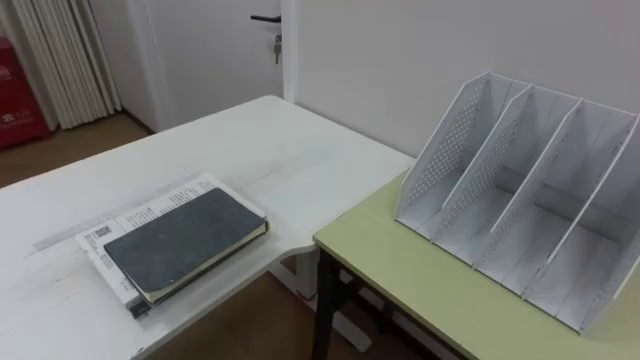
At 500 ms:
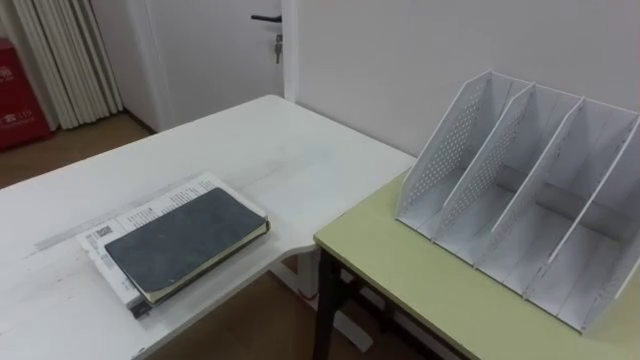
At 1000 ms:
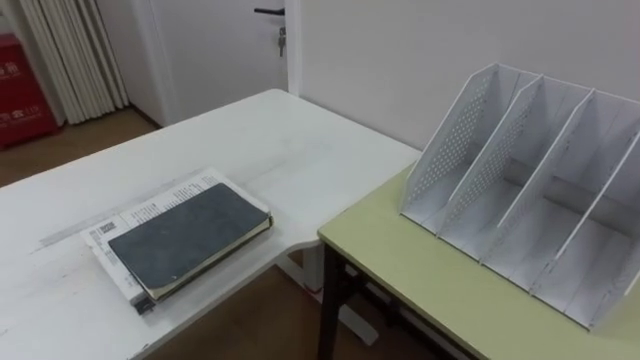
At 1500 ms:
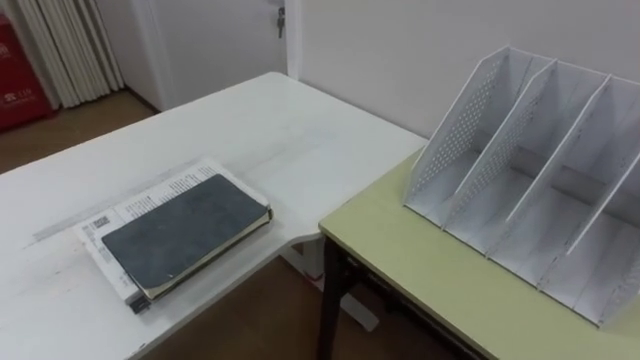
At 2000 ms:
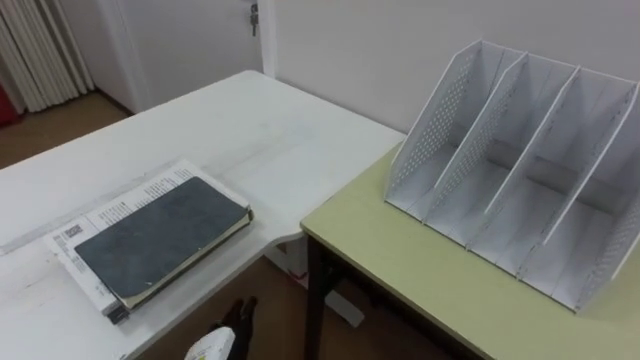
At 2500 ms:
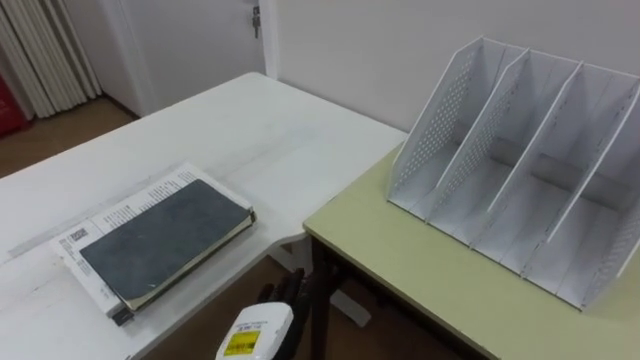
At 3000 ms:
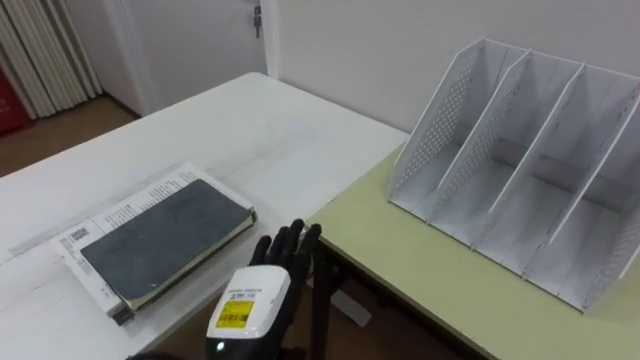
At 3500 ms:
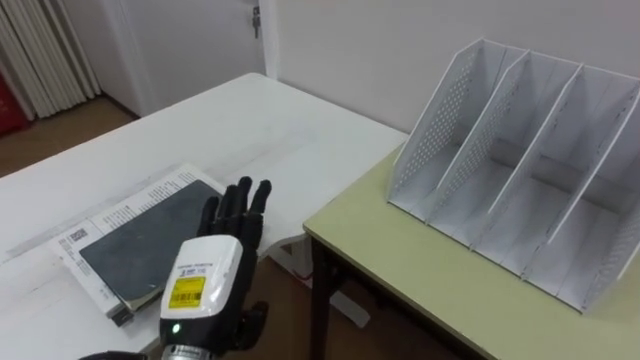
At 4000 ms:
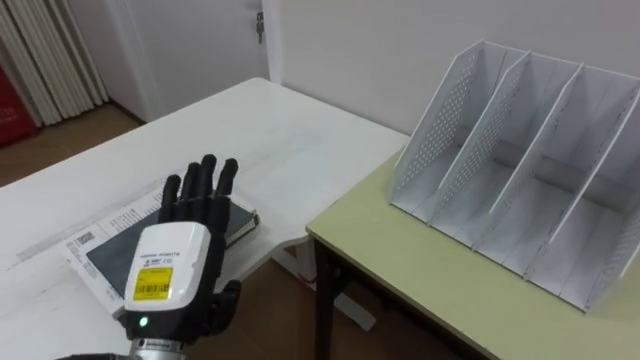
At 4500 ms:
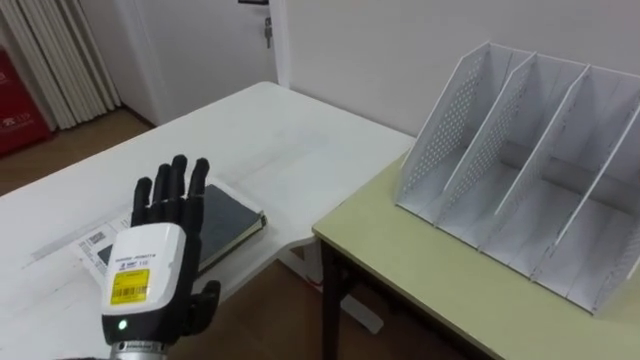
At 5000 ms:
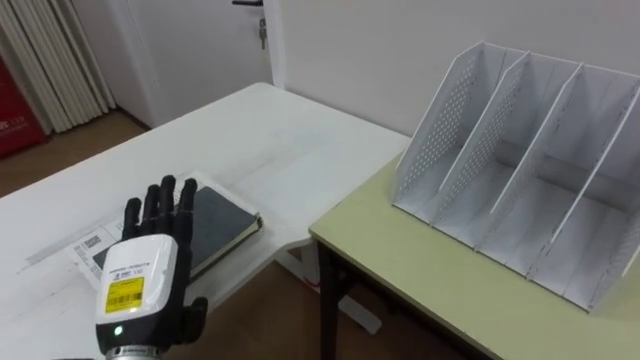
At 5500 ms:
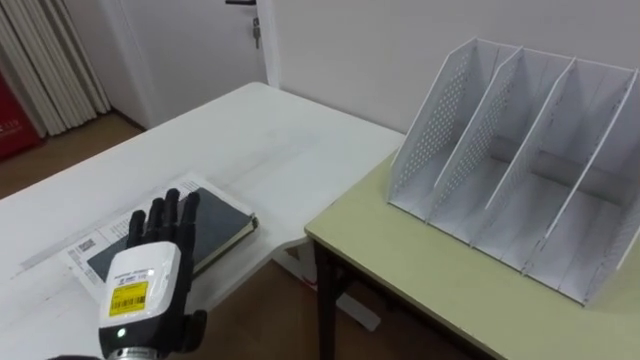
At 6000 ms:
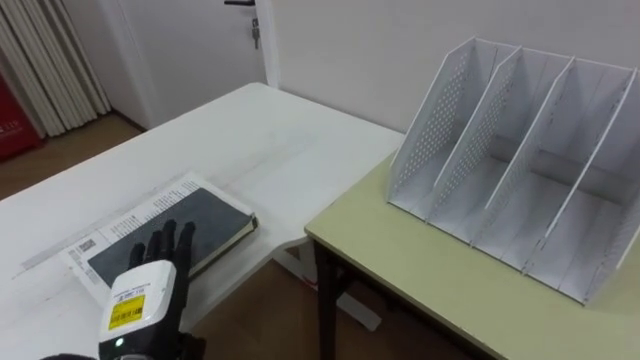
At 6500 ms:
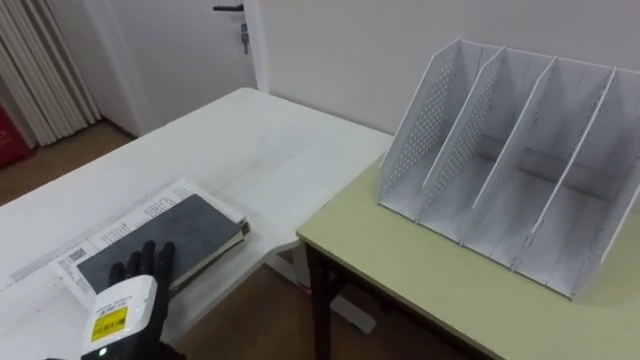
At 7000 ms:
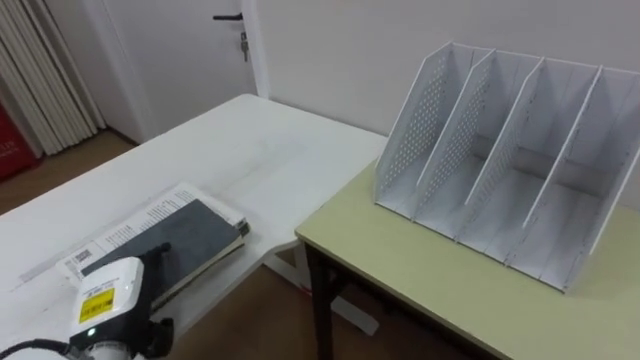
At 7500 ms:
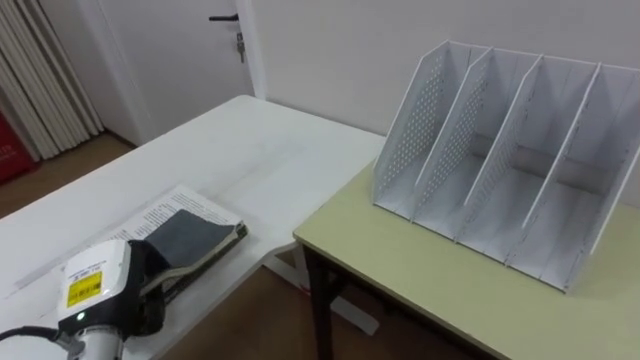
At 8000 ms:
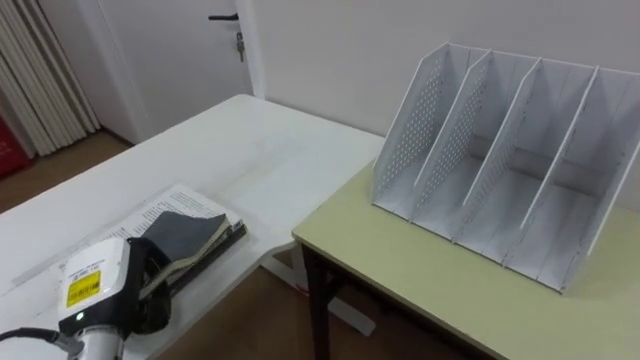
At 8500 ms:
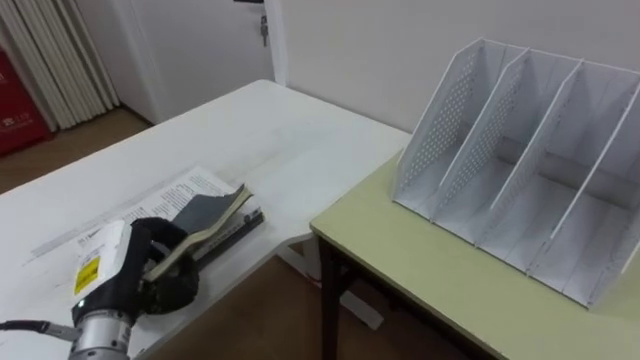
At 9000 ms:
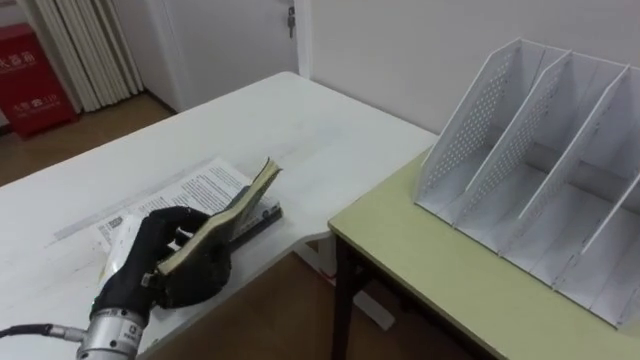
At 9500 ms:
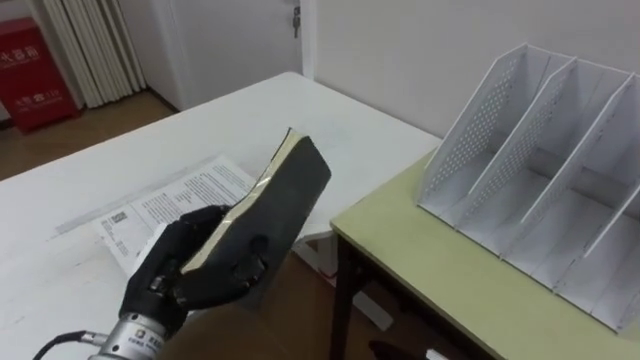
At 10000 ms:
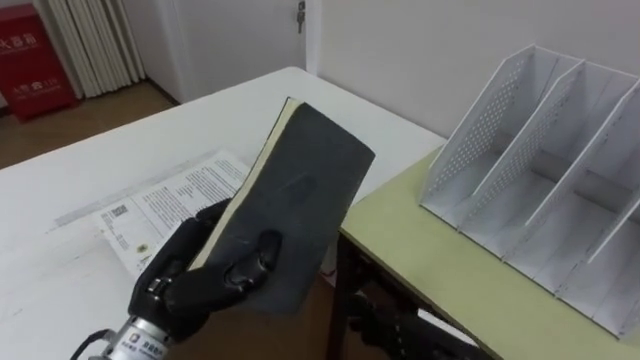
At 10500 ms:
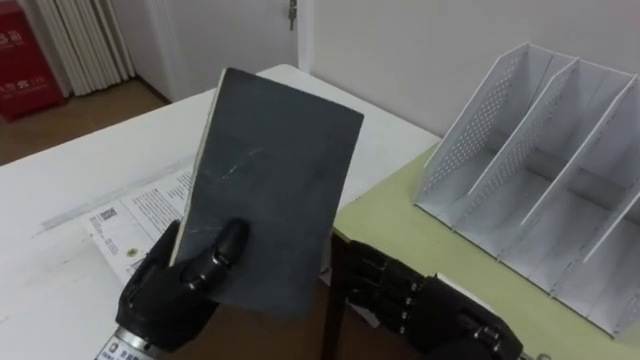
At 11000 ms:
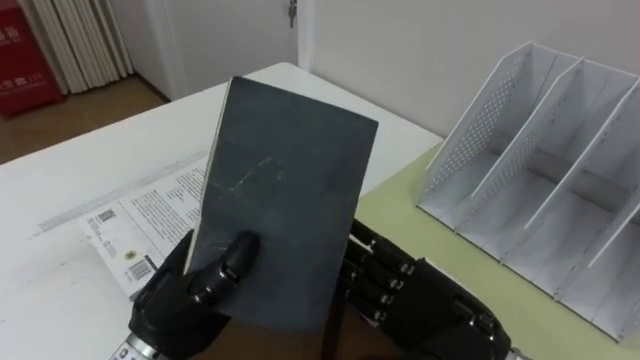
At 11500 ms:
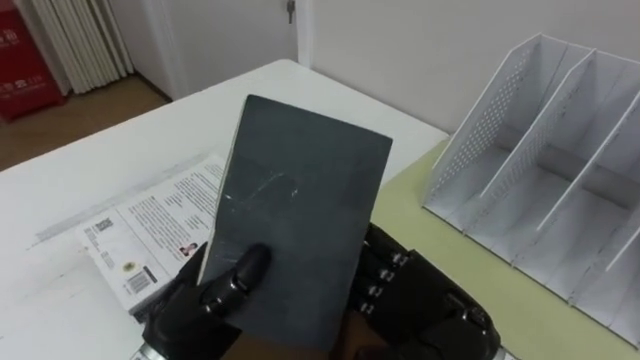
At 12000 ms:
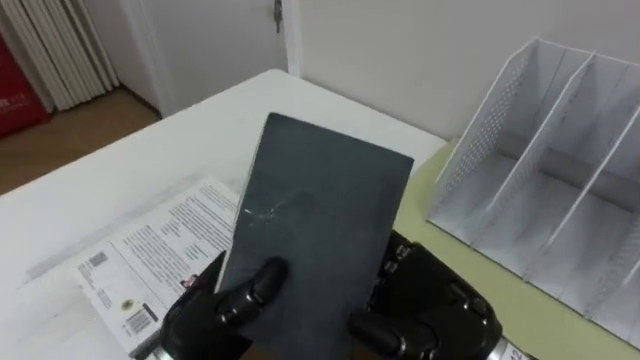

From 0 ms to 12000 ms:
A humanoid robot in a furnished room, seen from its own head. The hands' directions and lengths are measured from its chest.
Task of the whole recording: Put the books on the table onto the bookshelf.
From 2000 ms to 4000 ms: The left hand travels upward by approximately 15 cm.
From 4000 ms to 6000 ms: The left hand goes approximately 10 cm downward and to the left.
From 6000 ms to 8000 ms: The left hand moves roughly 5 cm, and closes up.
From 8000 ms to 10000 ms: The left hand is displaced to the right and upward by approximately 10 cm.
From 10000 ms to 12000 ms: The right hand travels upward by approximately 10 cm.

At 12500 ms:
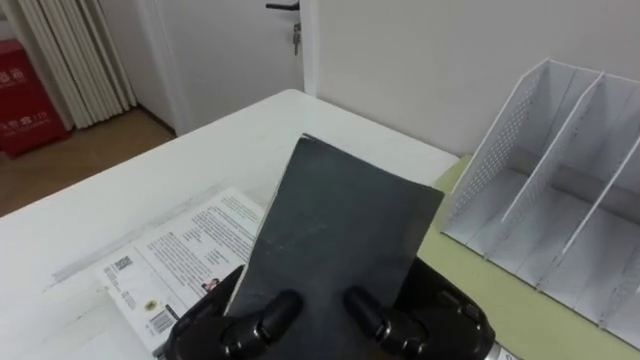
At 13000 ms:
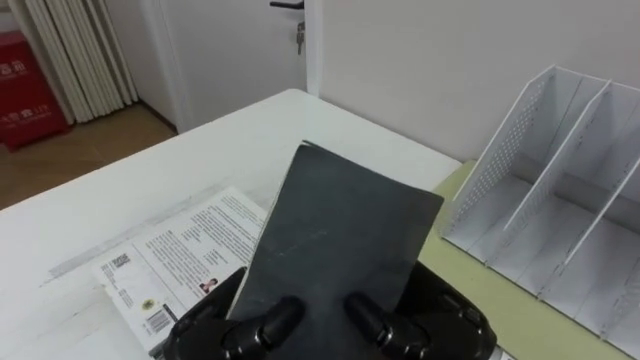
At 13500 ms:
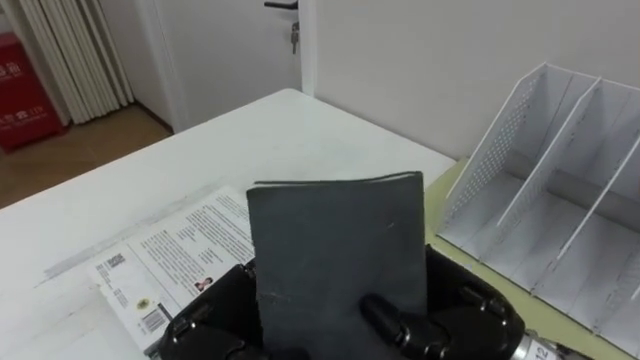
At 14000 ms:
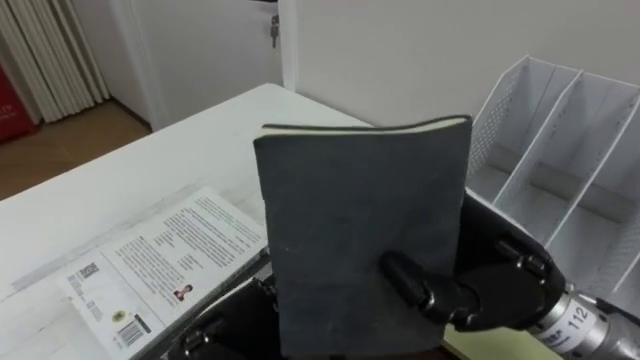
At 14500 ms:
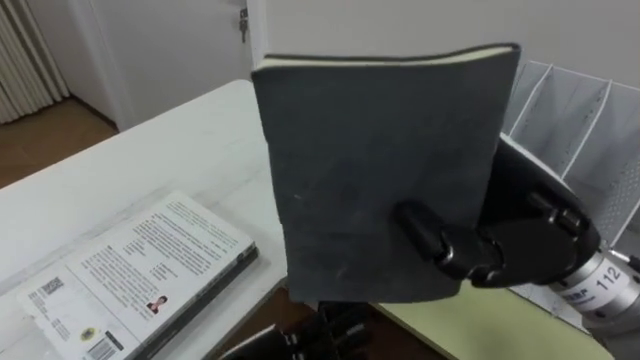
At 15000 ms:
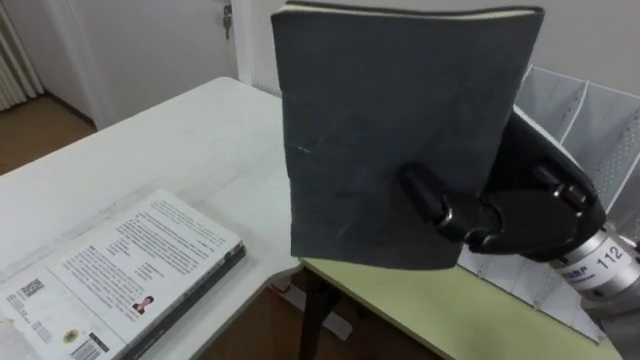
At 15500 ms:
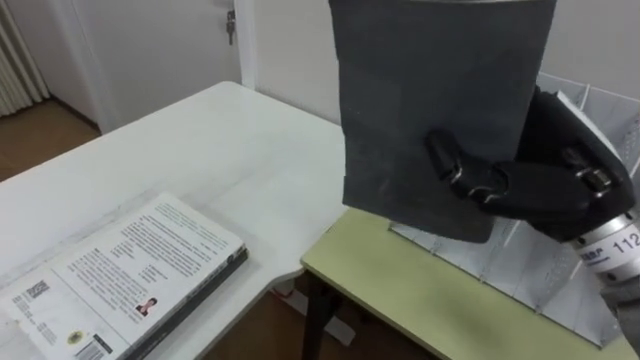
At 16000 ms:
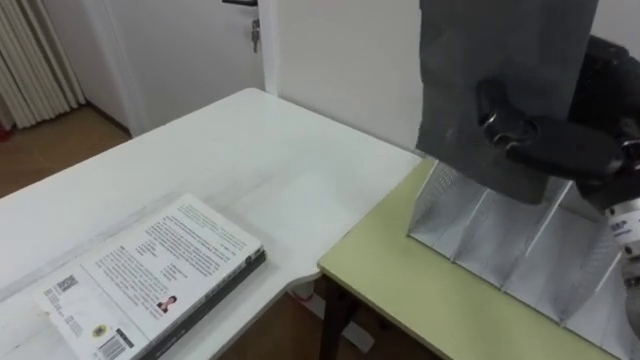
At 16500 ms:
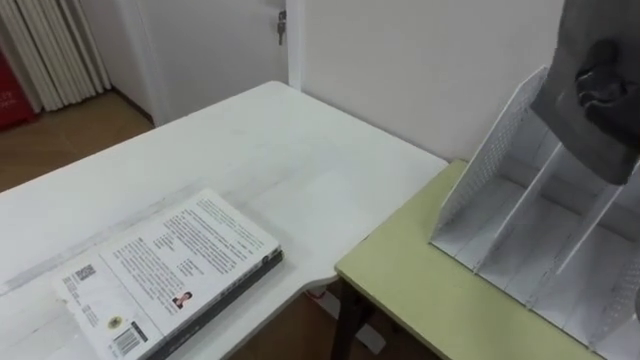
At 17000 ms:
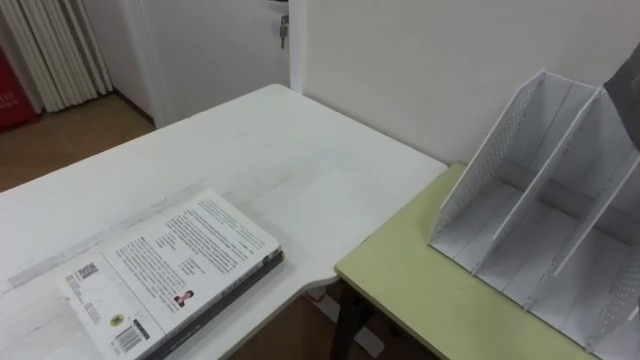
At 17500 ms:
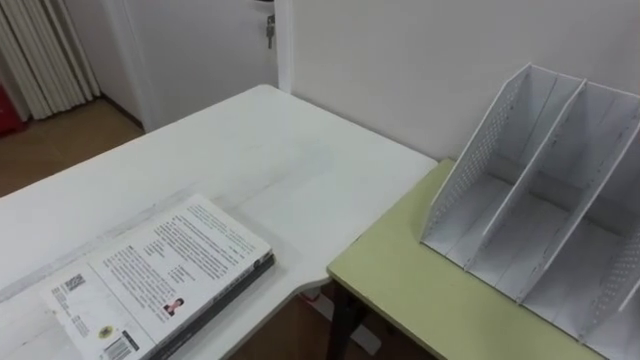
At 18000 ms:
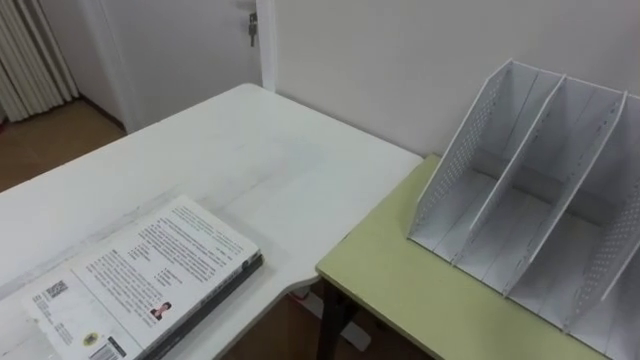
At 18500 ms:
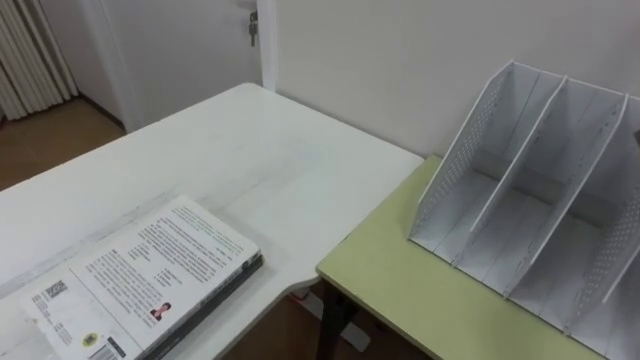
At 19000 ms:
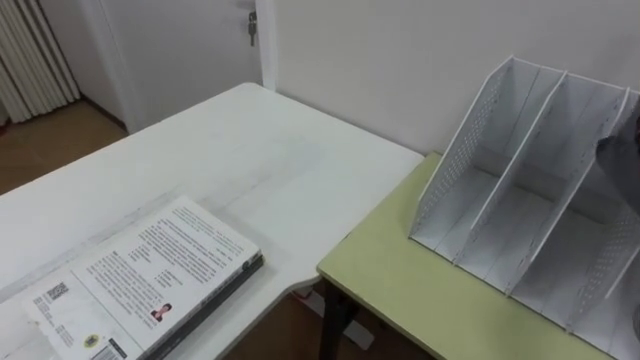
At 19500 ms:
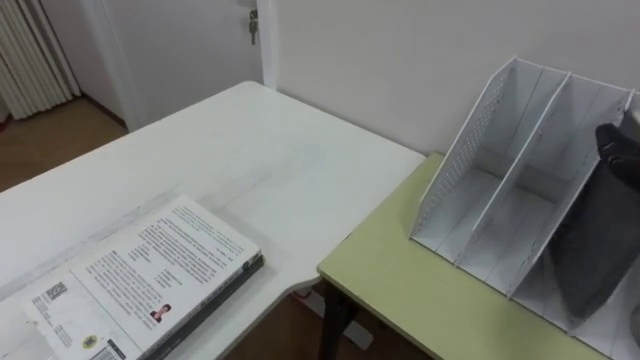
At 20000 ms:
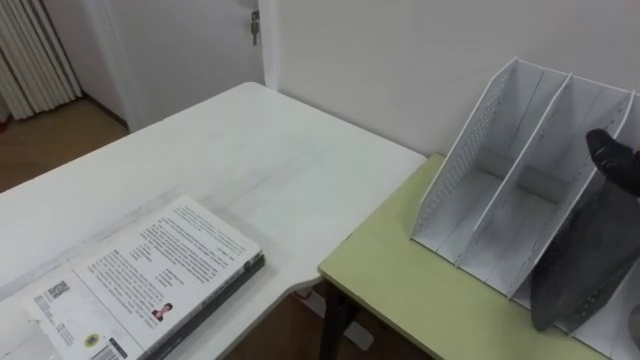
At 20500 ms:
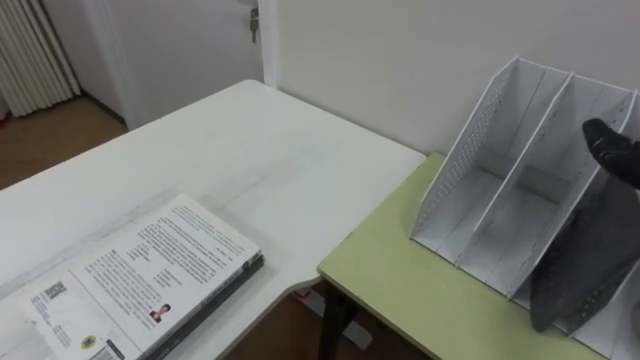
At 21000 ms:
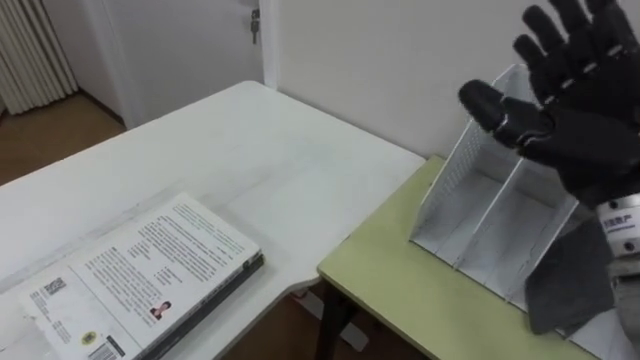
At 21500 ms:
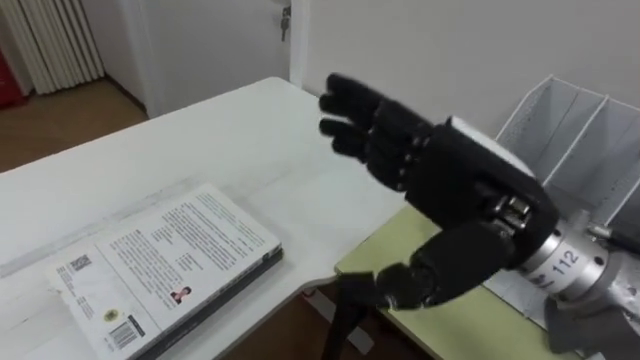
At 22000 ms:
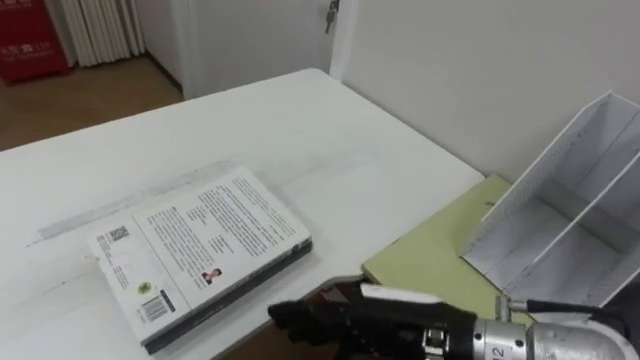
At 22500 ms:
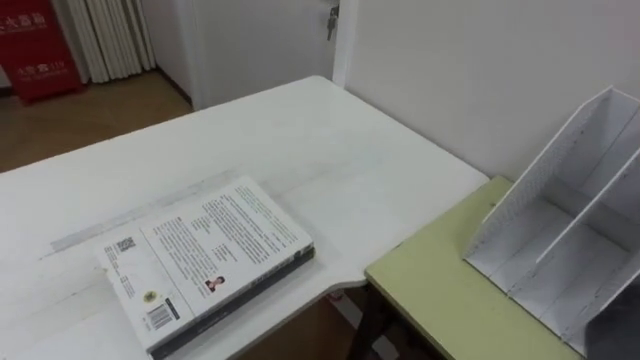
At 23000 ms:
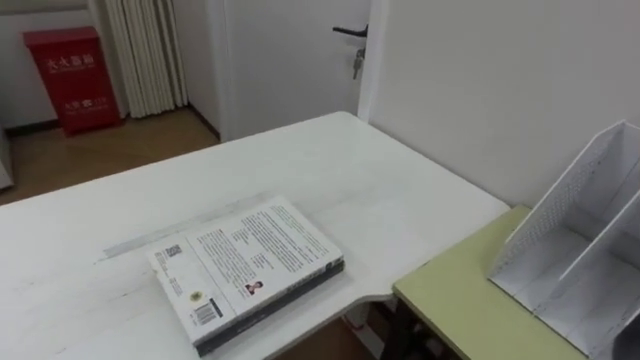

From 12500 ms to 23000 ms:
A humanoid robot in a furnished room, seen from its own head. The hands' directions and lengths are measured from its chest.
Task of the whole recording: Put the books on the table onto the bookshelf.
From 12500 ms to 14500 ms: The right hand shifts approximately 15 cm upward and to the right. Meanwhile the left hand ends up roughly 5 cm from where it was, and opens up.
